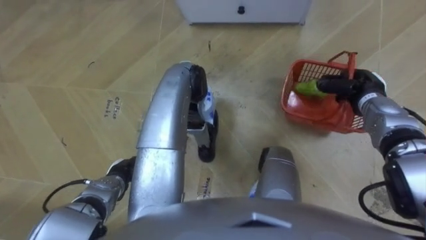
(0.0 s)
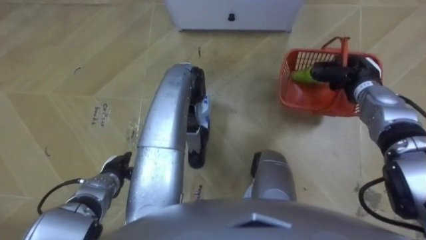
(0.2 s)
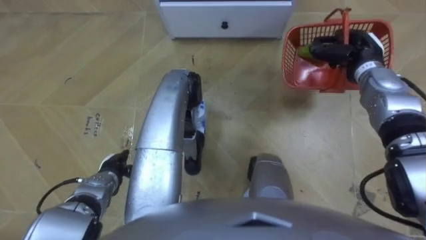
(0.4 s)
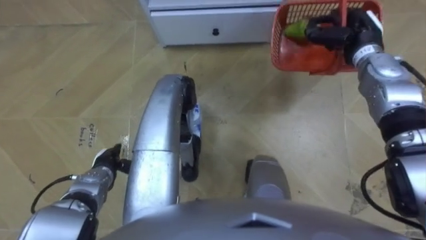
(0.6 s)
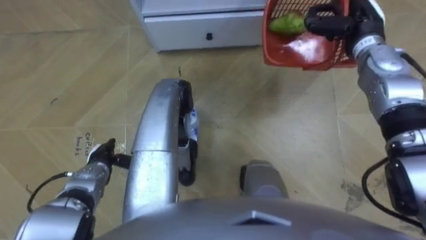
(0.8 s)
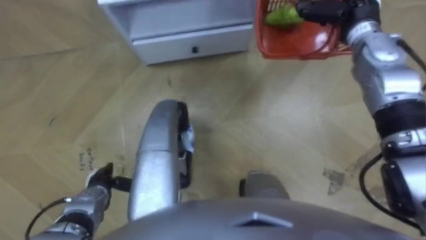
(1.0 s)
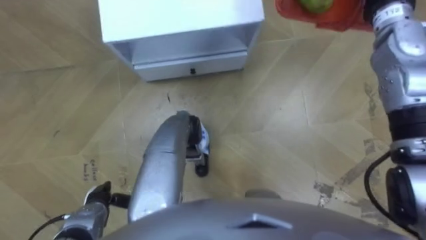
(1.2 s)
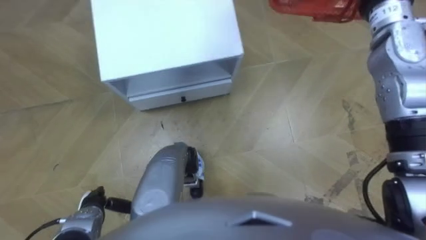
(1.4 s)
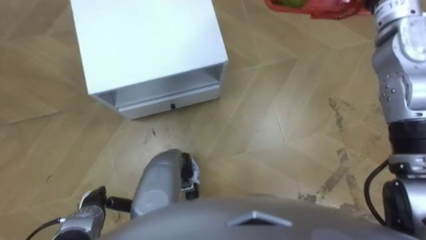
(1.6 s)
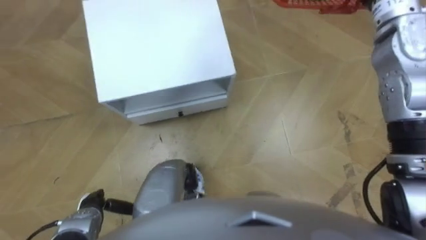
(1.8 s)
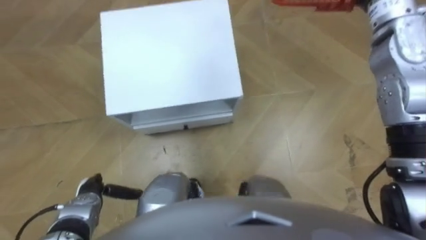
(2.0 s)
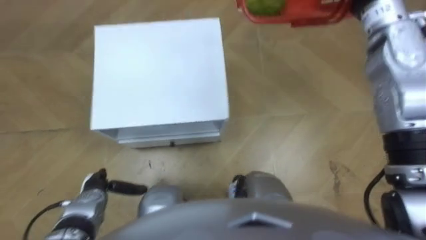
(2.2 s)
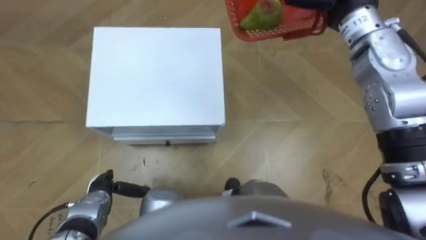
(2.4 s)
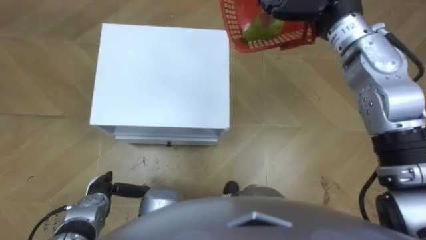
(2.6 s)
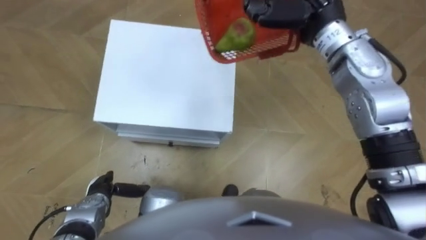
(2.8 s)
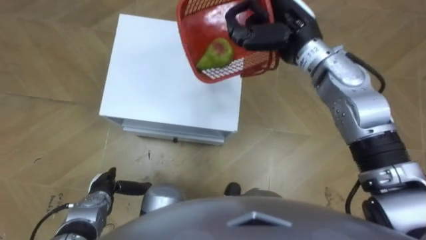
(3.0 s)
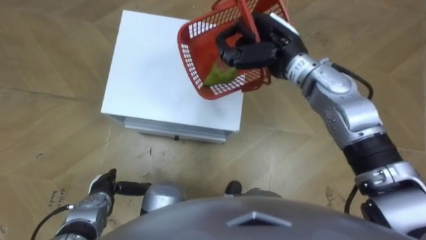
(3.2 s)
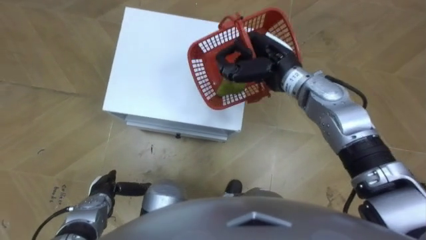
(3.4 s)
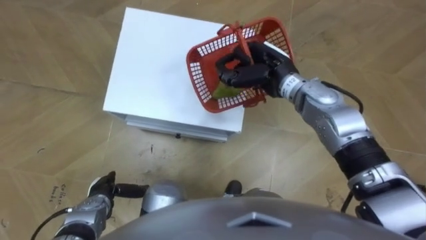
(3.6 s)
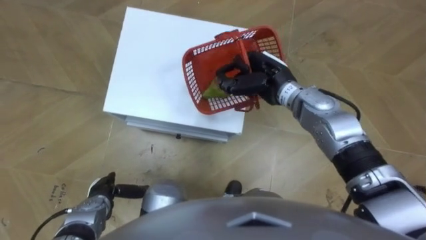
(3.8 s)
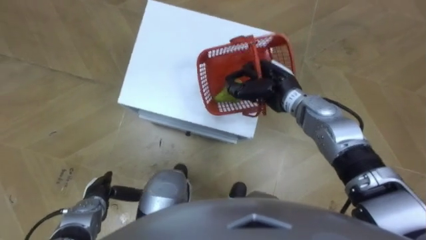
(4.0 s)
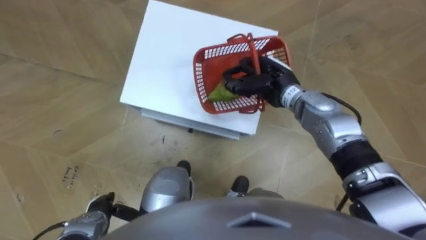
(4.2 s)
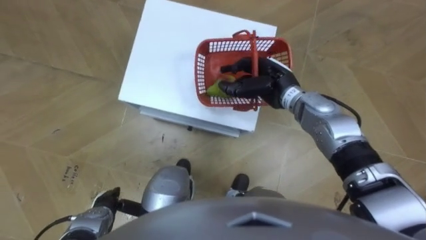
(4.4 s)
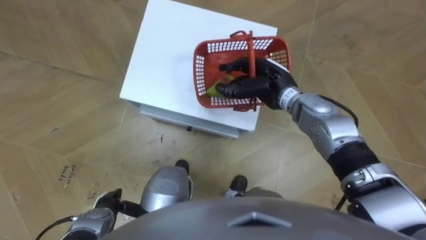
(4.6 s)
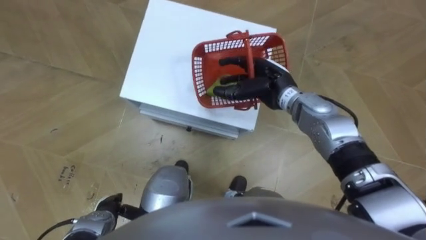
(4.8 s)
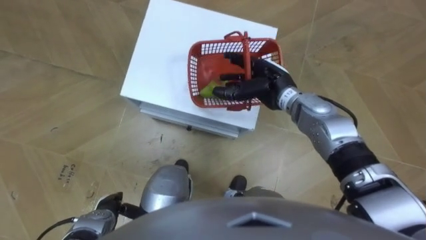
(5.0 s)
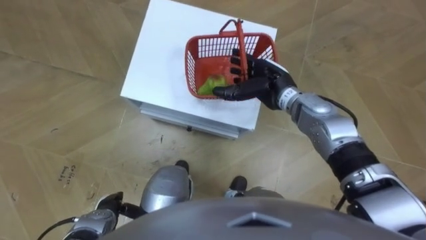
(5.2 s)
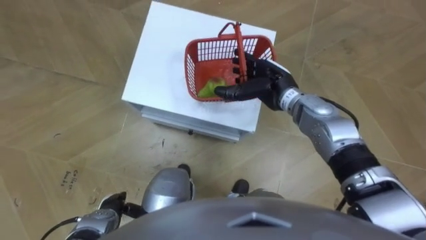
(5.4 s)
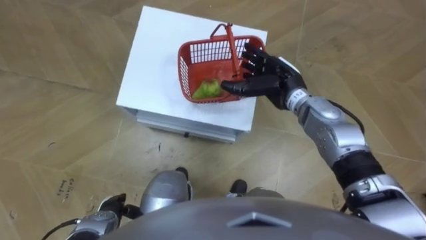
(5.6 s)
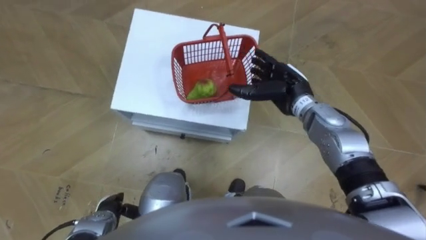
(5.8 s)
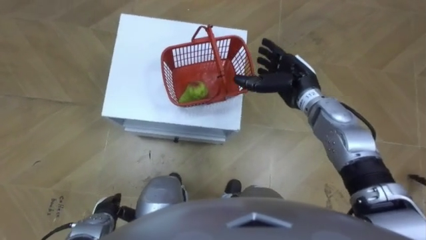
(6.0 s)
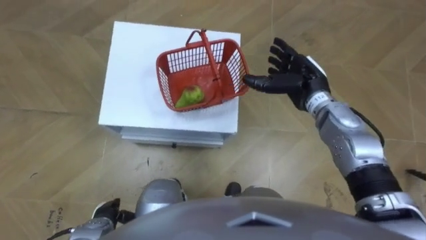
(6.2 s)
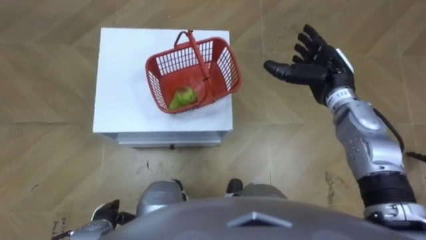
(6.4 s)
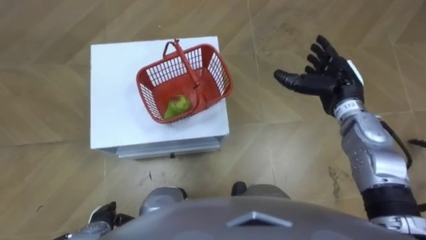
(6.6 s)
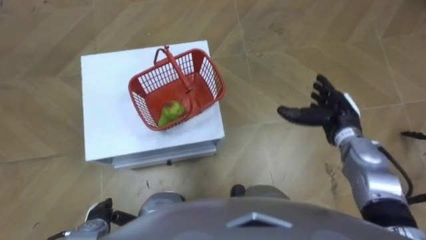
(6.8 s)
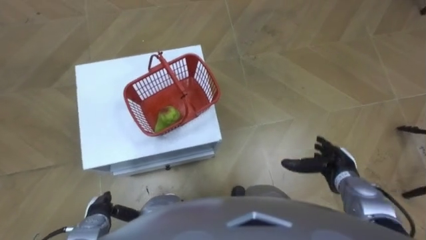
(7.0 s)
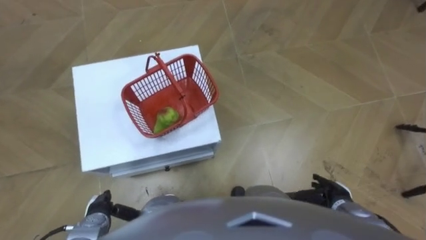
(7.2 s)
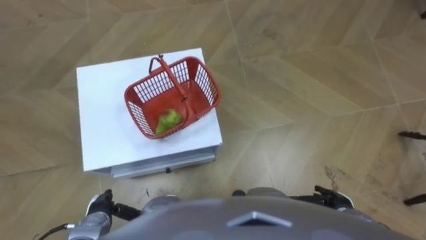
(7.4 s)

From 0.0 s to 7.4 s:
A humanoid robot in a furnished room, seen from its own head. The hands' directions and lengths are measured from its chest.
Task of the whole recording: Pick up the fruit basket from the floor and place it on the cabinet.
From 0.0 s to 1.4 s: The robot faces about 15 degrees further to its right. The left hand goes roughly 10 cm backward and to the left.
From 3.0 s to 4.4 s: The right hand moves downward, approximately 10 cm.
From 4.4 s to 6.0 s: The right hand opens its fingers.
From 6.0 s to 7.4 s: The right hand is displaced backward, downward and to the right by some 30 cm.

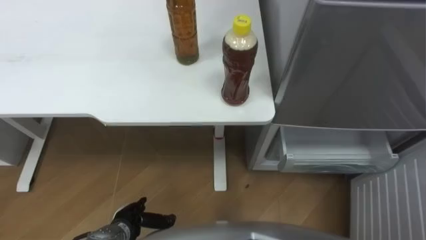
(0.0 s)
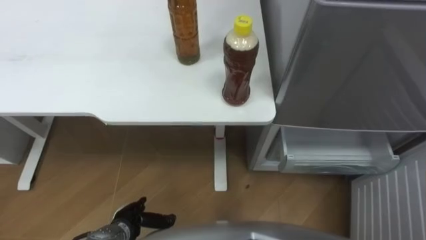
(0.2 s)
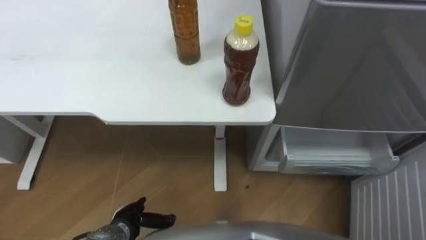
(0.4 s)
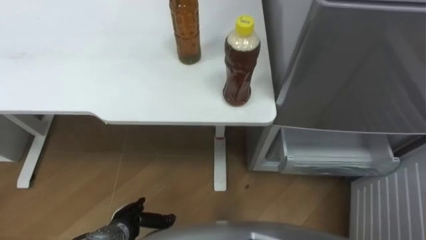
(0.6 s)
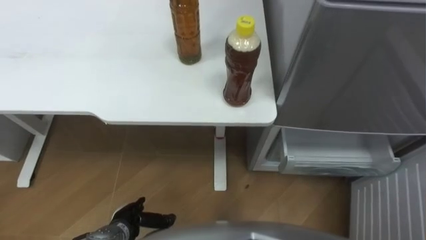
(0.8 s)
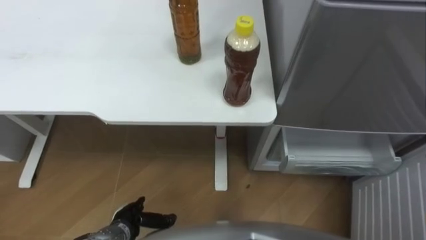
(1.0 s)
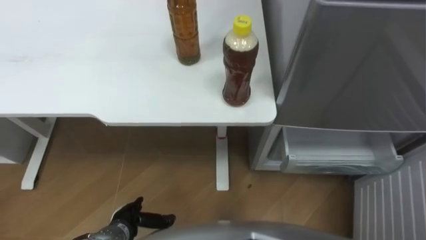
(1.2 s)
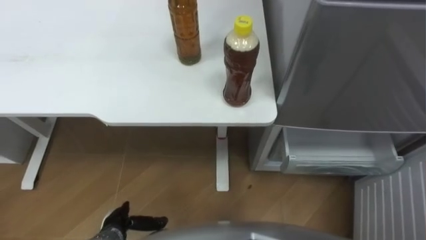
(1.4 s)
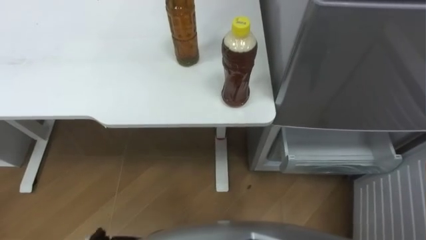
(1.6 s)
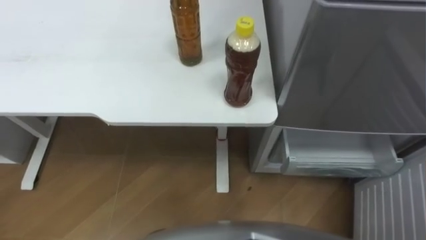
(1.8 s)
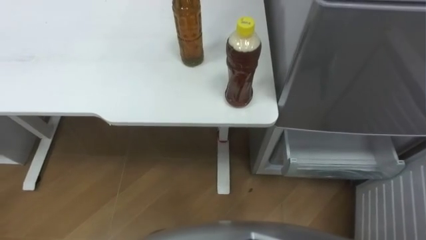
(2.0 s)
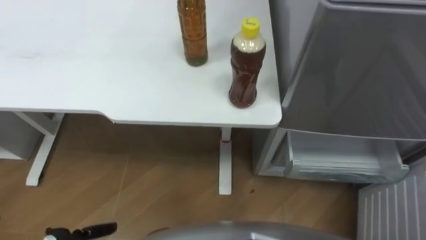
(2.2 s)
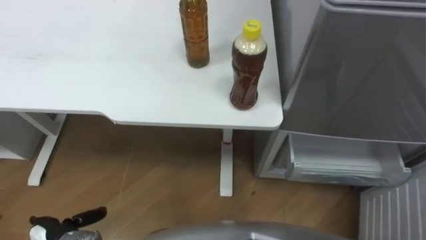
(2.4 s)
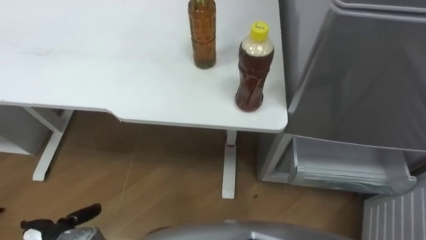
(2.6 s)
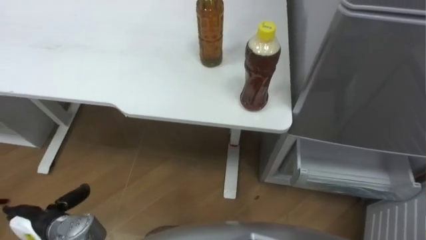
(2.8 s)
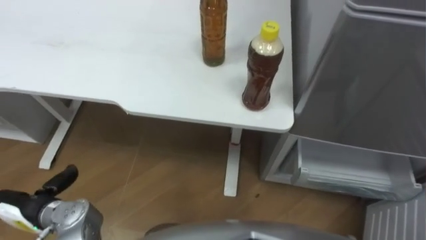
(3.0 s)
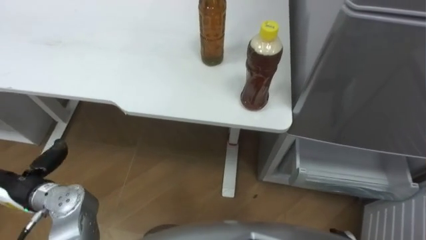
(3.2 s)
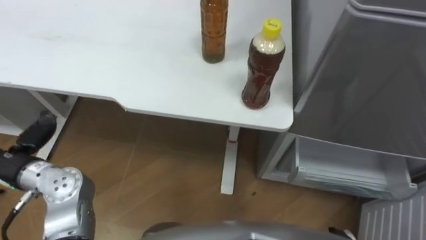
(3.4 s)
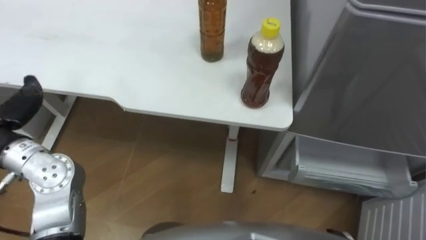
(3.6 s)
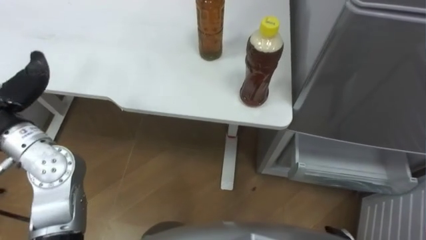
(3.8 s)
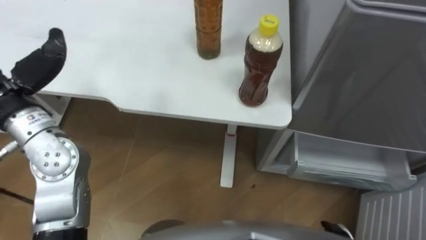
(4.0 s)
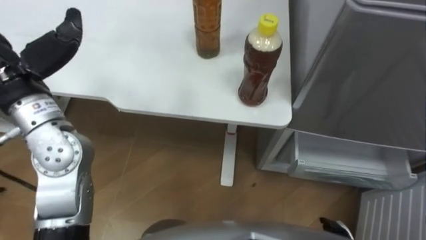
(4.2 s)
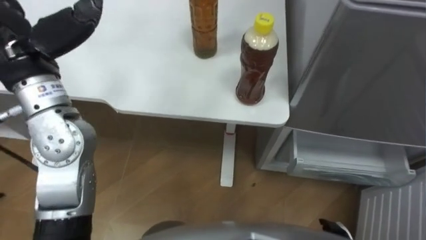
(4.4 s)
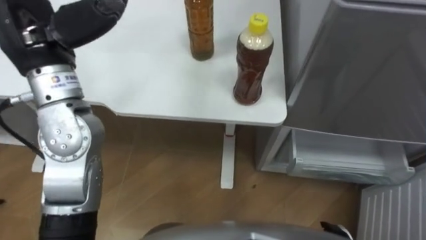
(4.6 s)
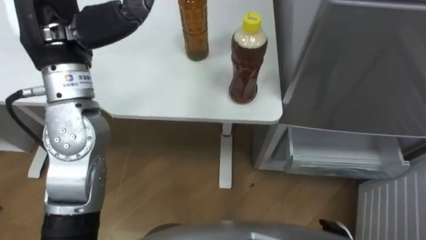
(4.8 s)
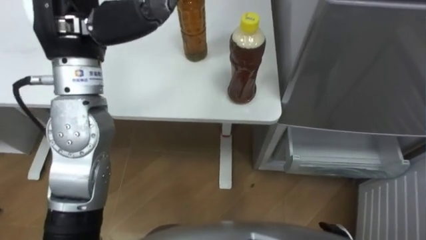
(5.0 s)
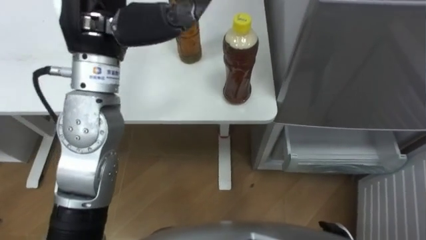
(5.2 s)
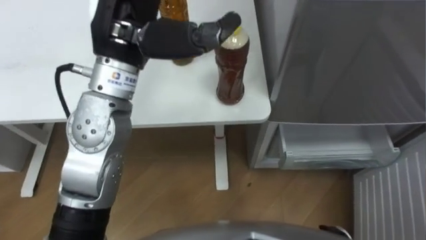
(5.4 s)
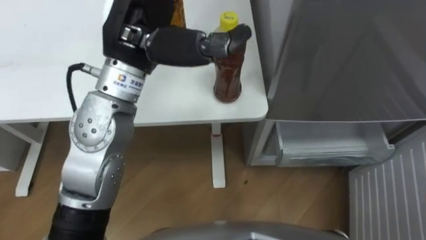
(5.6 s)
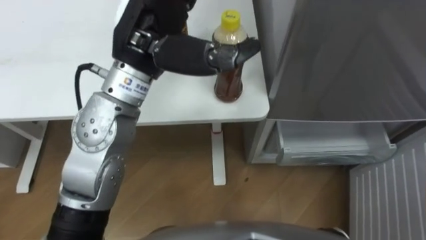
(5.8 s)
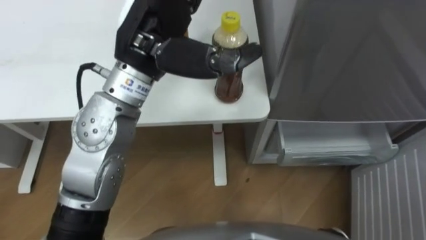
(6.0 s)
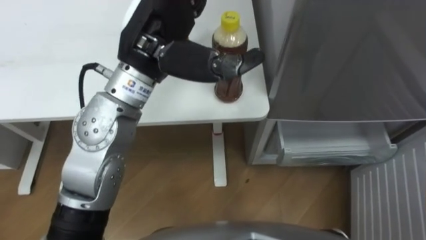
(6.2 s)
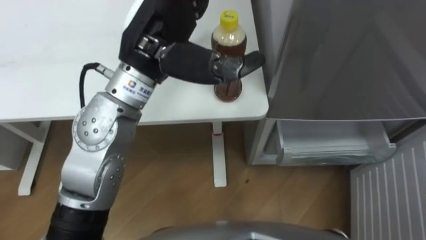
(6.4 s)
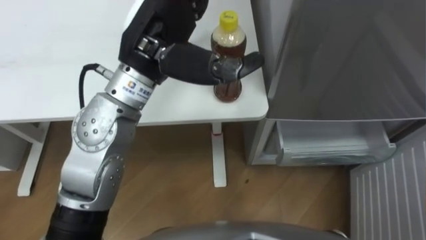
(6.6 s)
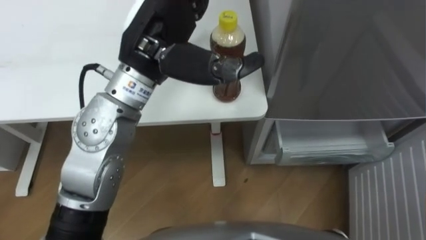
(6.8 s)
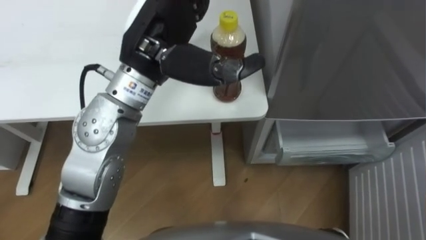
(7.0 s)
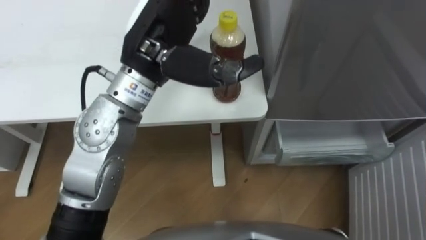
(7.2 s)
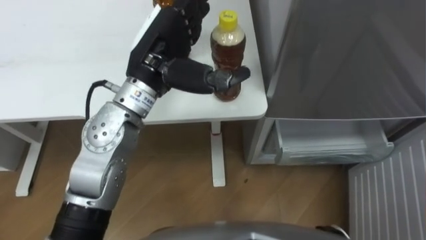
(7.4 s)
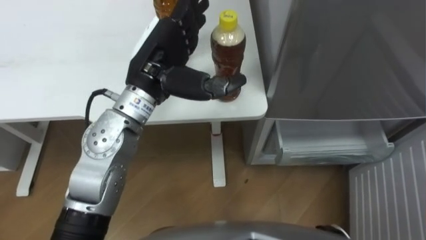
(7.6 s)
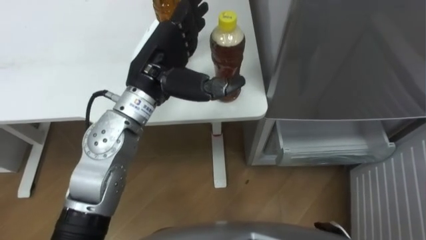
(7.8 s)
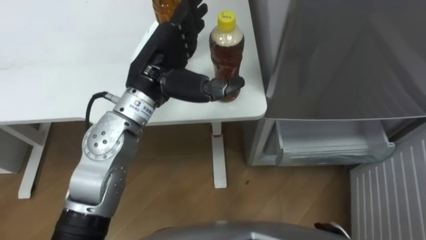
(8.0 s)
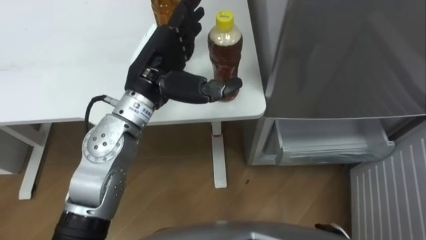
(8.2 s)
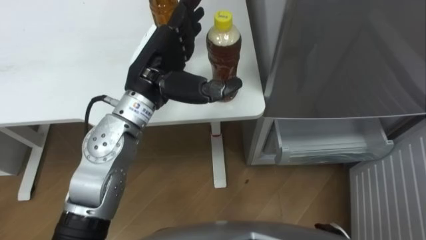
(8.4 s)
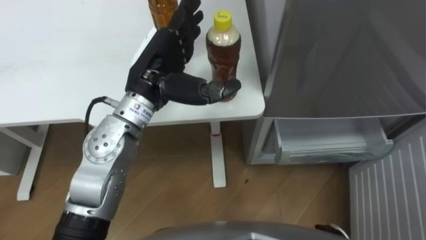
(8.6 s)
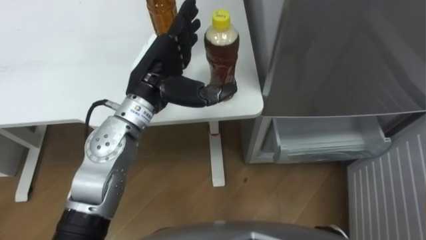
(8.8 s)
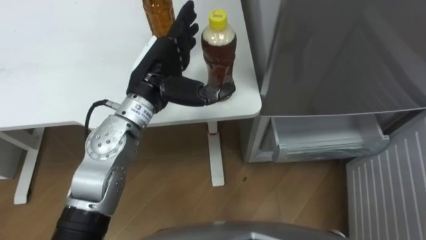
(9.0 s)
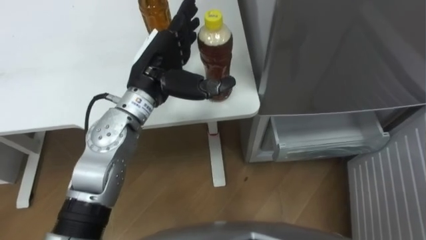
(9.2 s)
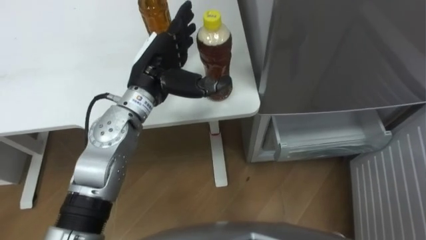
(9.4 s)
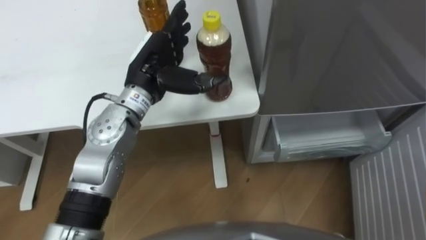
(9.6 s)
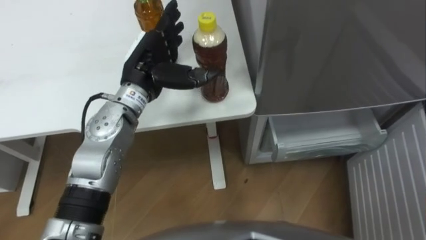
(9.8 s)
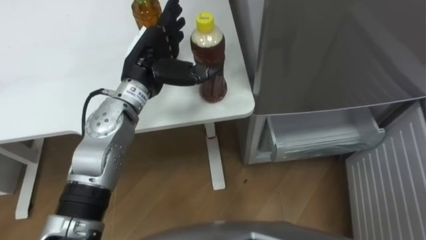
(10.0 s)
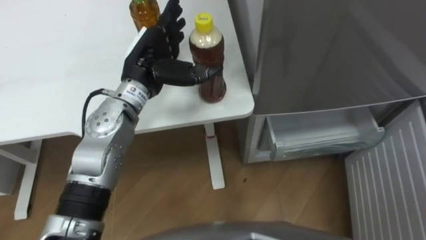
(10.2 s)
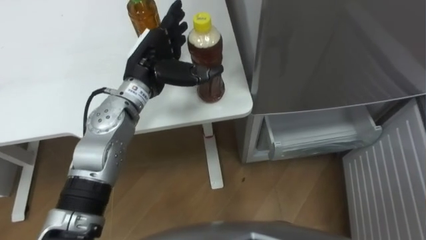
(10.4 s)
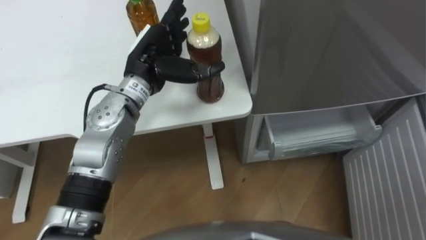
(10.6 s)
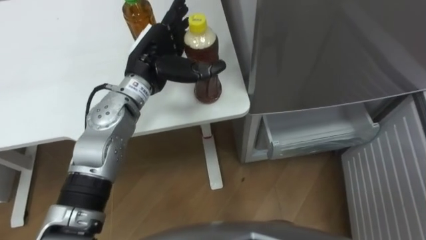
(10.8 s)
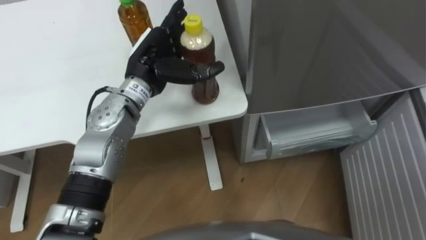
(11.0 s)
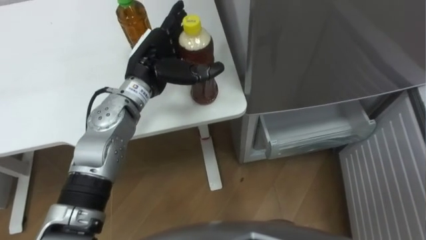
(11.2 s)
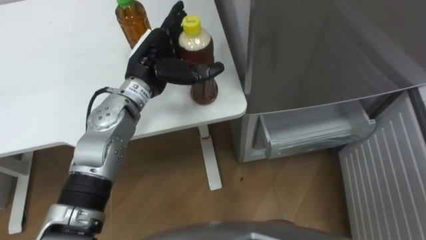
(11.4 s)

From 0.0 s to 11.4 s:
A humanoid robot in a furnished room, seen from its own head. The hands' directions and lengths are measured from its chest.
Task of the whole recording: Place the drink on the table on the bottom shelf of the refrigerator, then close the drawer and the refrigerator door.
From 4.2 s to 5.6 s: The left hand goes some 20 cm to the right.
From 7.2 s to 8.6 s: The left hand goes about 10 cm downward.
From 8.6 s to 10.0 s: The left hand moves some 5 cm.
